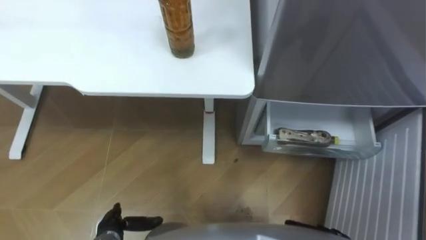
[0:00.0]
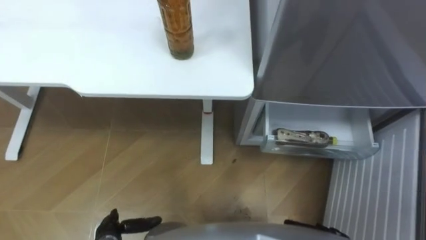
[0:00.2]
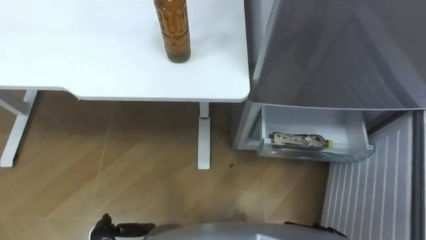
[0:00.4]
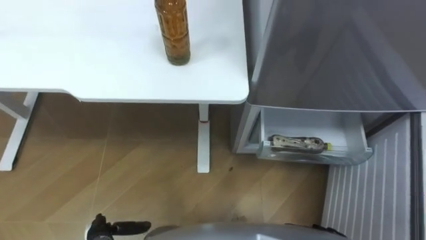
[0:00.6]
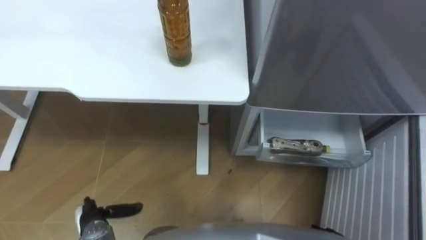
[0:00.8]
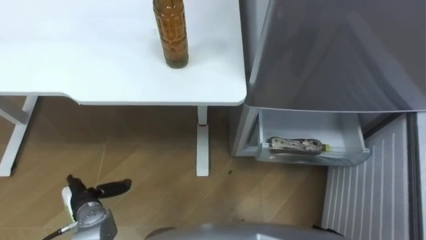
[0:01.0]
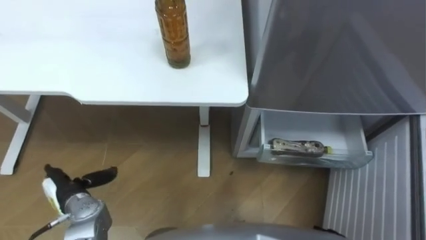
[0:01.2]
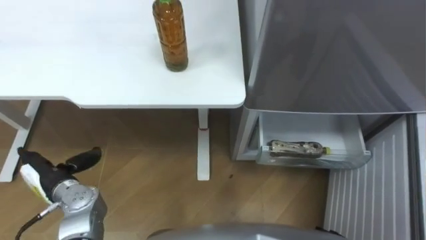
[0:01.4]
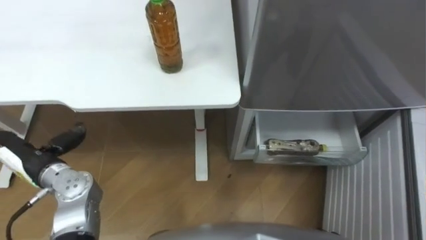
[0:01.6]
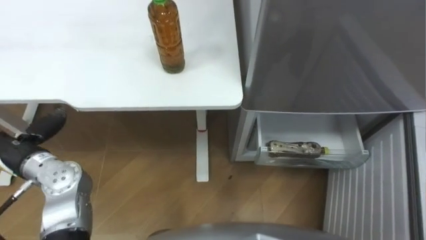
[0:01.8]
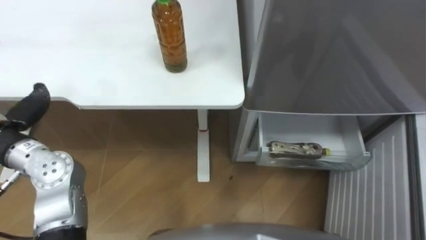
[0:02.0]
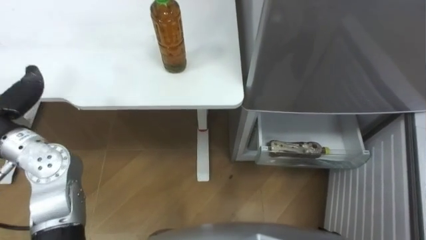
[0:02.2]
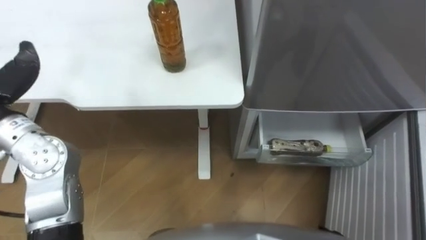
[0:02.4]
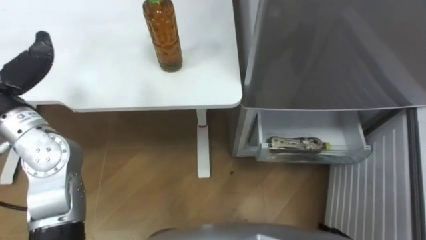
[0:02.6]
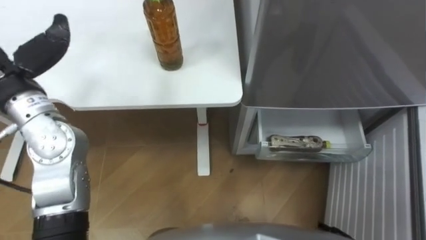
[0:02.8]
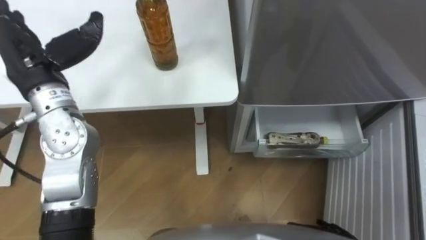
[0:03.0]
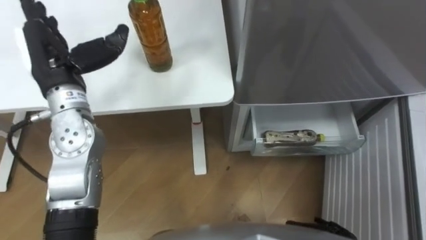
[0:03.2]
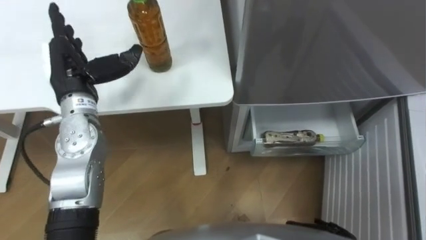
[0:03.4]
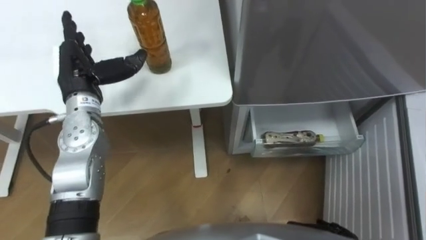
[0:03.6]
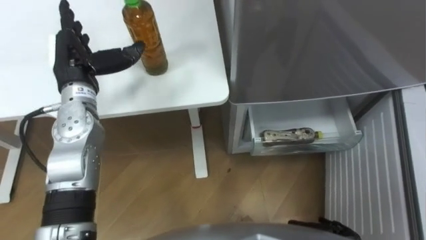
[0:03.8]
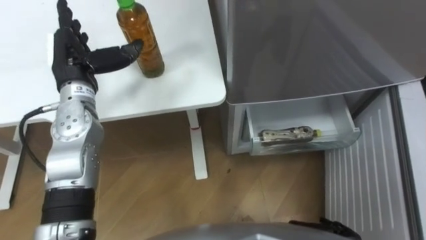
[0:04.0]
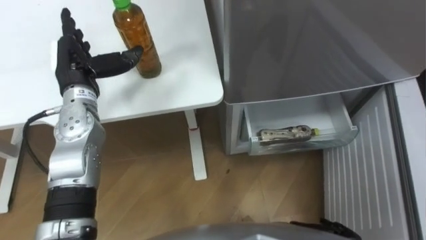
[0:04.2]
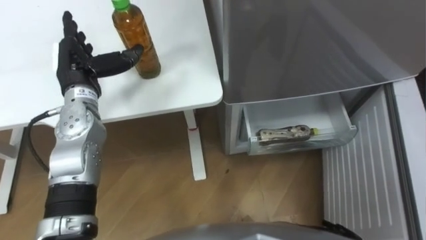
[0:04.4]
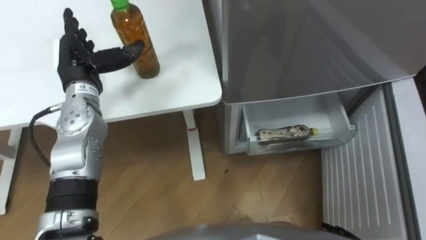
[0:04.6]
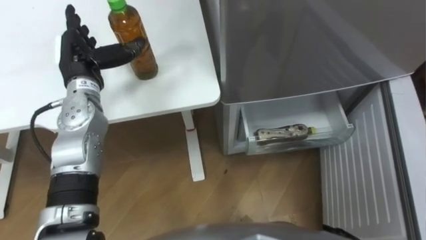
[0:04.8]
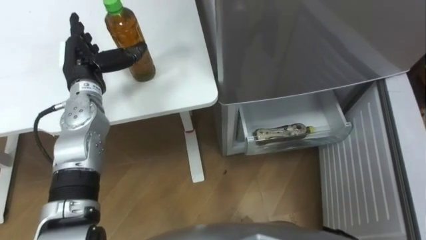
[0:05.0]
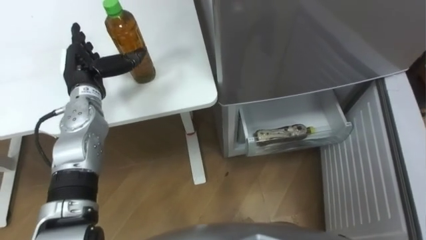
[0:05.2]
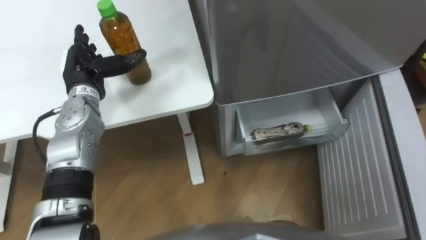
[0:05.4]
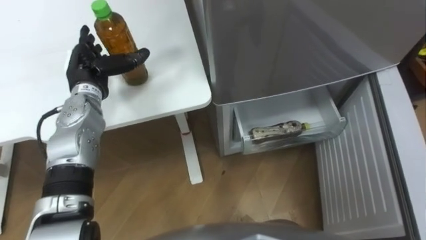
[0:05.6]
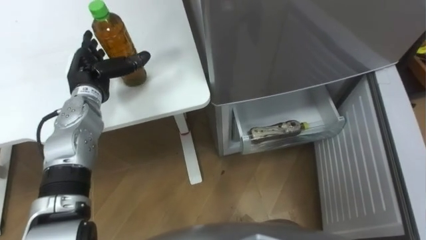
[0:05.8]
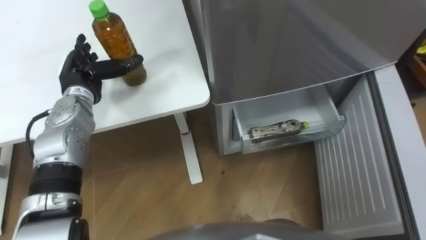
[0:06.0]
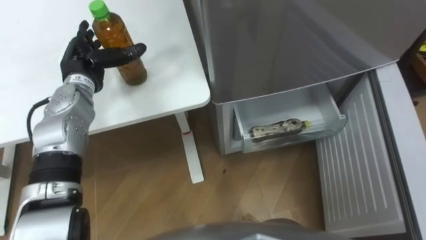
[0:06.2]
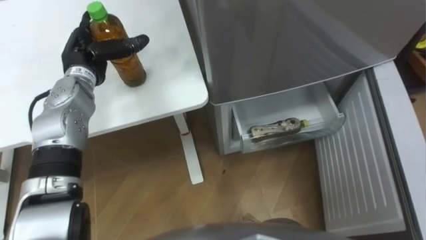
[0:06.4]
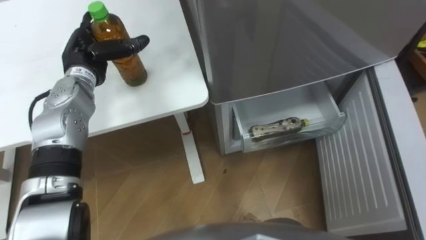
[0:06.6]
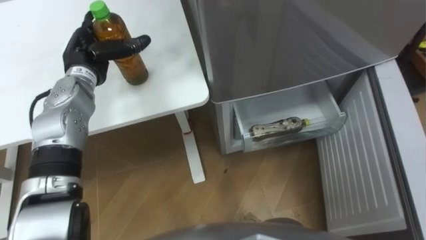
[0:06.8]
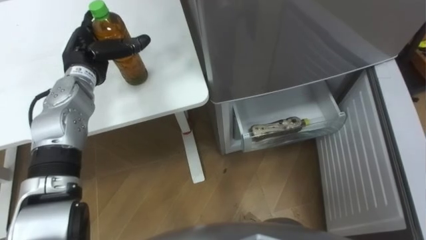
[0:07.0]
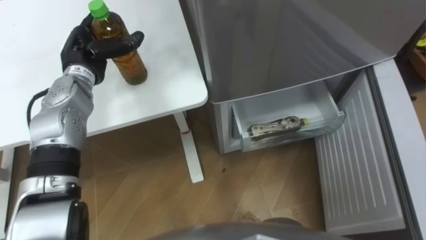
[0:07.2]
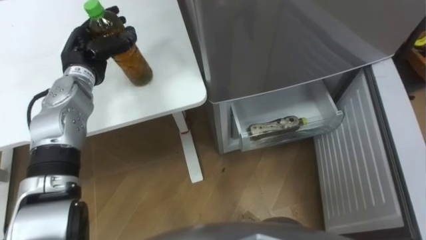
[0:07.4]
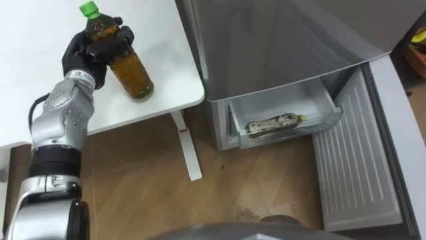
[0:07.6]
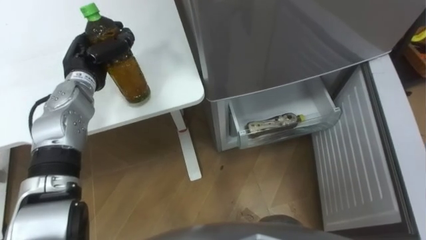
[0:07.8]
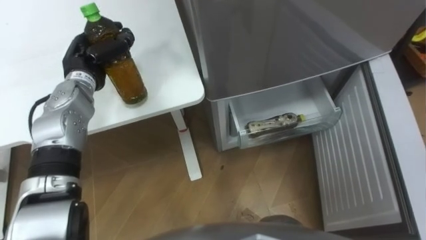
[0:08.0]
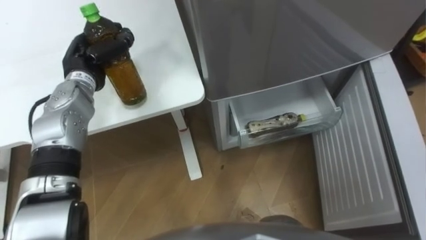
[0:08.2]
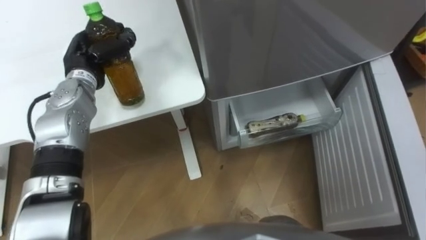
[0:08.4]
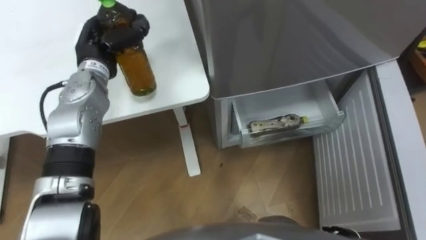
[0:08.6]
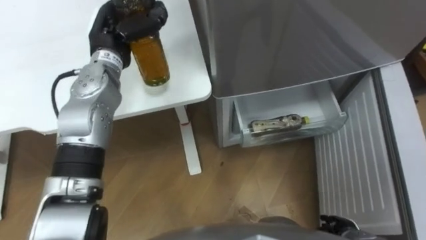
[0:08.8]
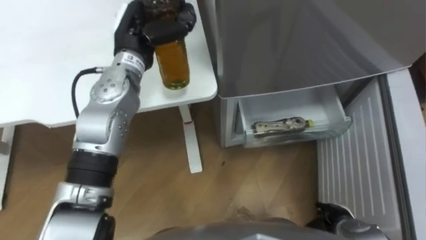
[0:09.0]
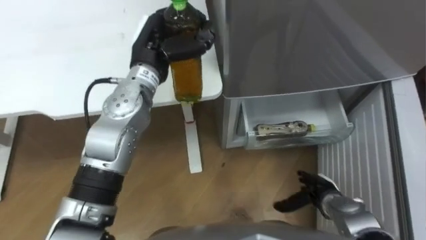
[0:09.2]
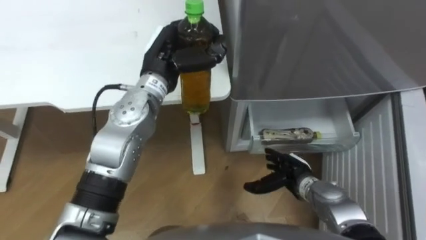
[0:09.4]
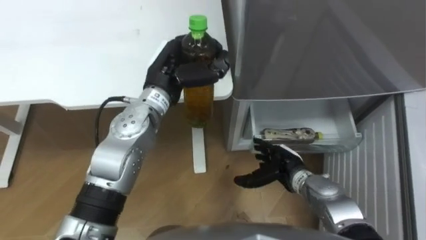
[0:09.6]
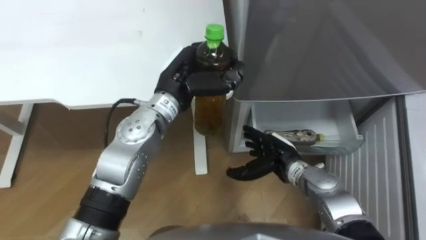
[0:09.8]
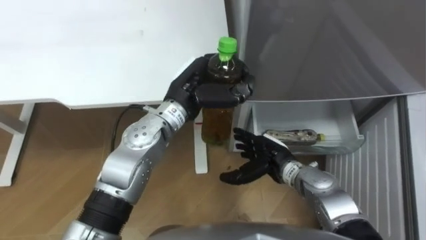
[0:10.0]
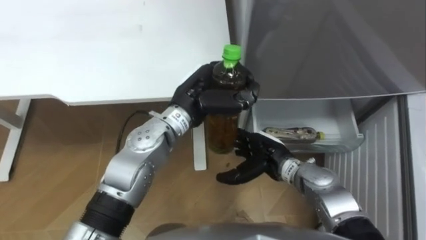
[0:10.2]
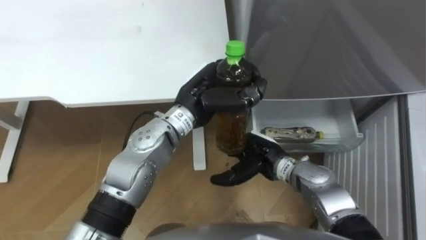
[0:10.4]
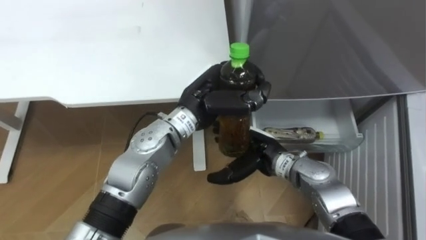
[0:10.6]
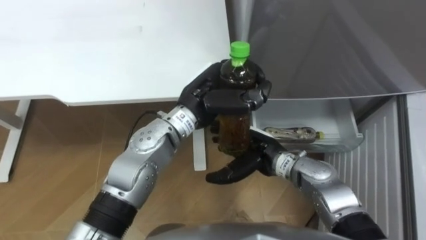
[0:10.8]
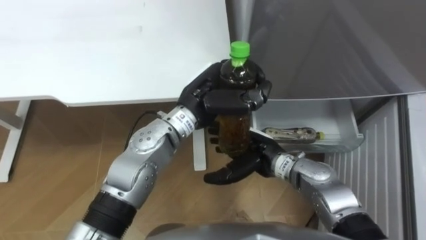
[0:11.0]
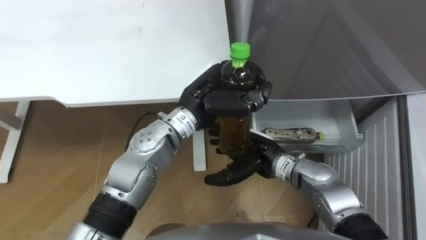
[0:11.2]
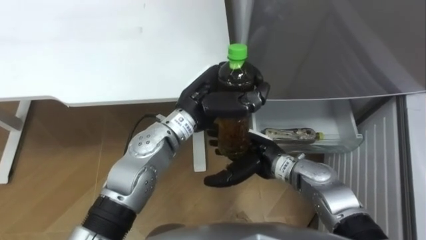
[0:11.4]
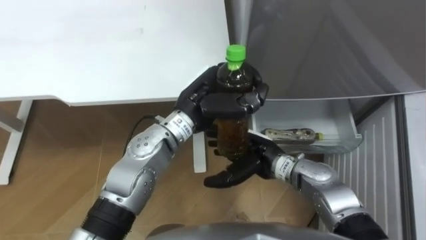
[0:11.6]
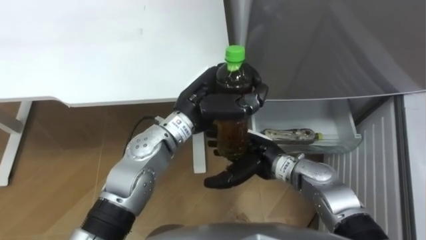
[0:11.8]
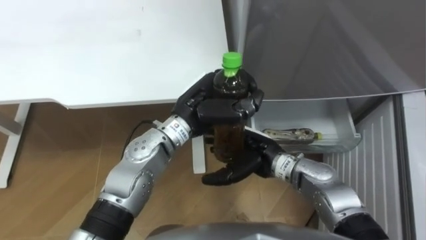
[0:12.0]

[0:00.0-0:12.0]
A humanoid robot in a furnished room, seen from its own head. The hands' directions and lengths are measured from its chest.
Task of the whole recording: Place the drink on the table on the bottom shelf of the refrigerator, then close the drawer and the refrigerator door.
0:00.0 to 0:01.6: The left hand travels upward, forward and to the left by some 25 cm.
0:03.0 to 0:04.4: The left hand goes roughly 10 cm downward.
0:06.0 to 0:07.6: The left hand closes its fingers.
0:07.6 to 0:09.0: The left hand shifts some 15 cm to the right and upward.
0:09.0 to 0:10.4: The left hand heads to the right and backward, covering about 15 cm. Meanwhile the right hand goes roughly 25 cm to the left, forward and upward.
0:10.4 to 0:12.0: The hands move only a little.

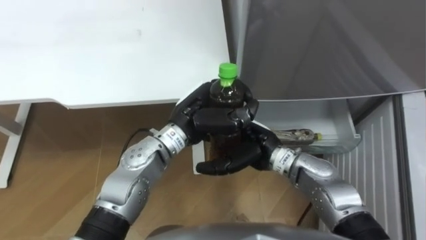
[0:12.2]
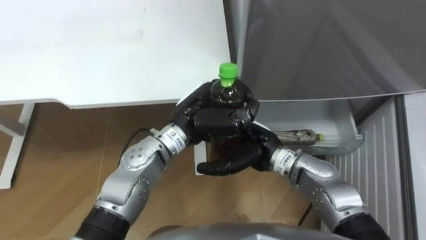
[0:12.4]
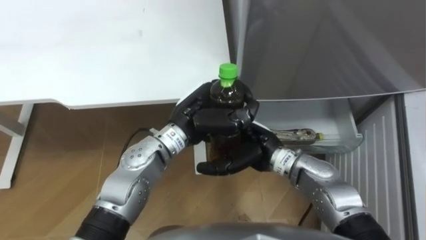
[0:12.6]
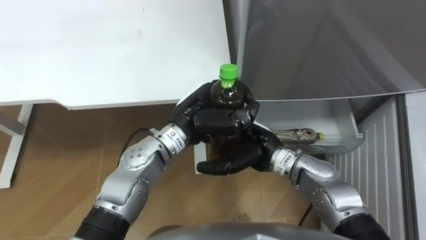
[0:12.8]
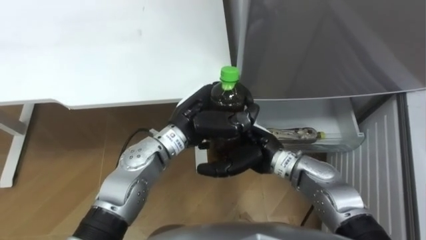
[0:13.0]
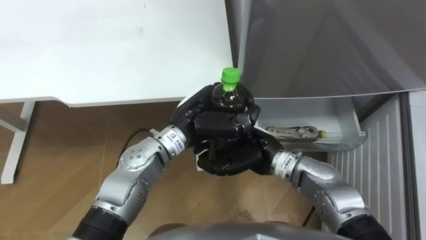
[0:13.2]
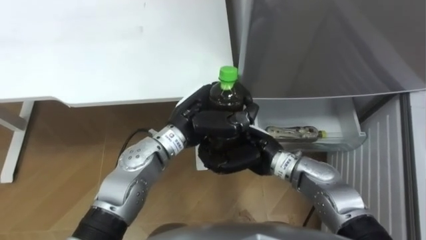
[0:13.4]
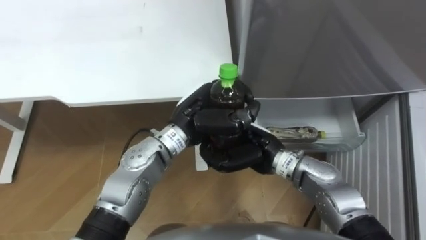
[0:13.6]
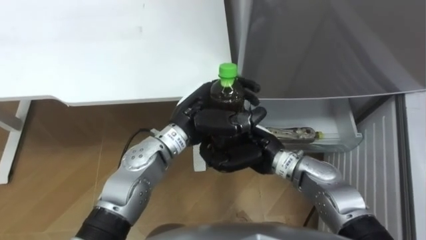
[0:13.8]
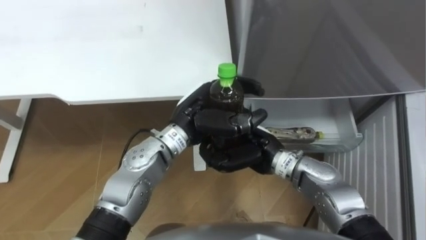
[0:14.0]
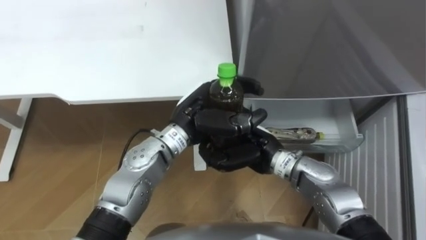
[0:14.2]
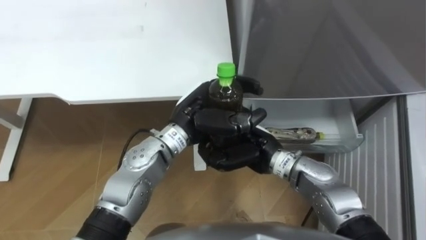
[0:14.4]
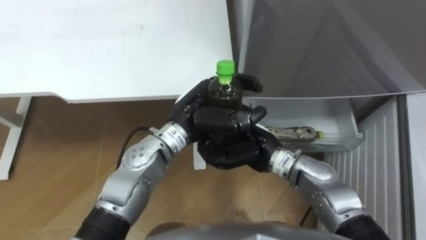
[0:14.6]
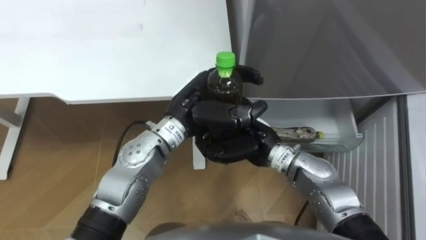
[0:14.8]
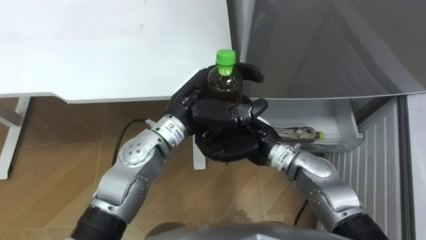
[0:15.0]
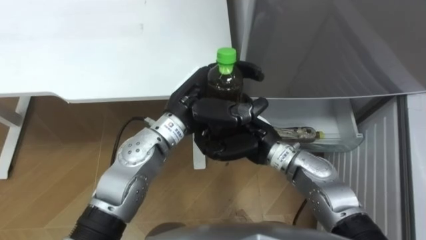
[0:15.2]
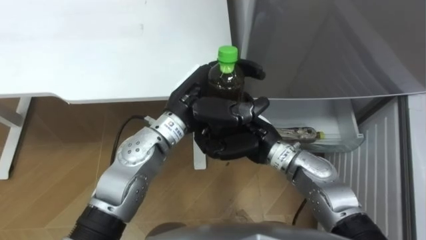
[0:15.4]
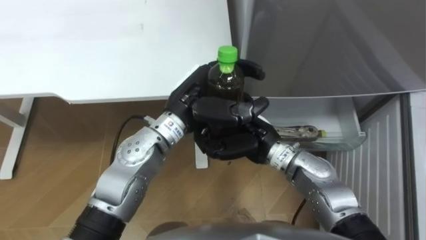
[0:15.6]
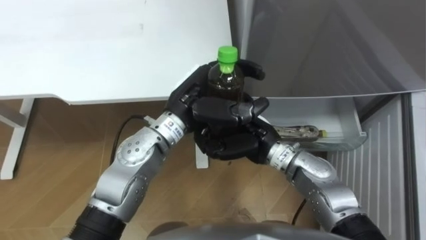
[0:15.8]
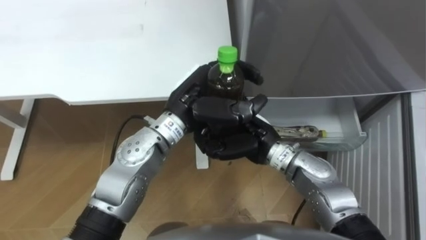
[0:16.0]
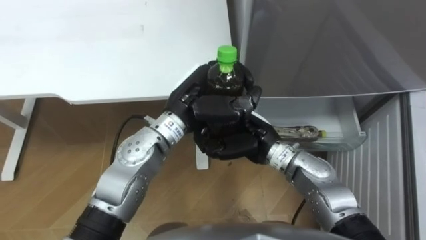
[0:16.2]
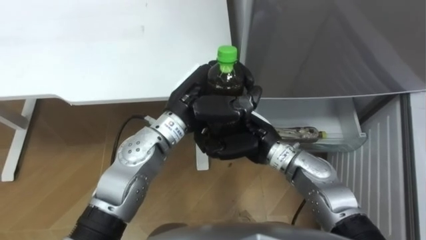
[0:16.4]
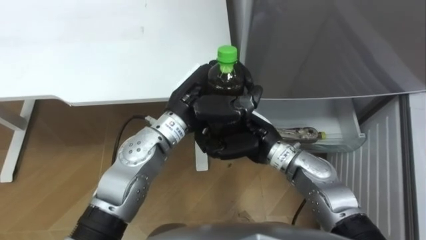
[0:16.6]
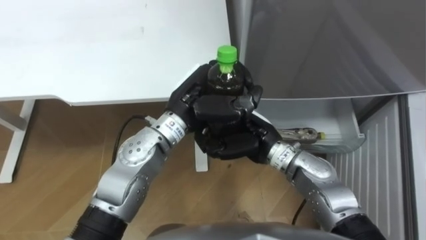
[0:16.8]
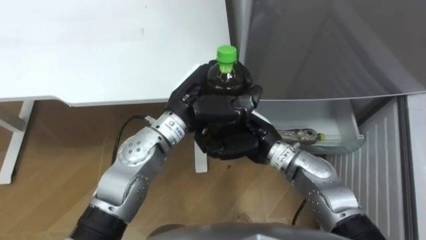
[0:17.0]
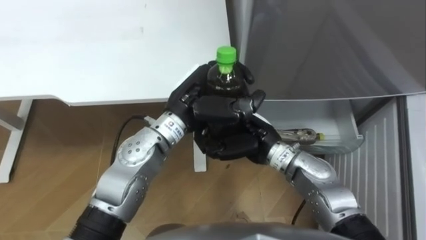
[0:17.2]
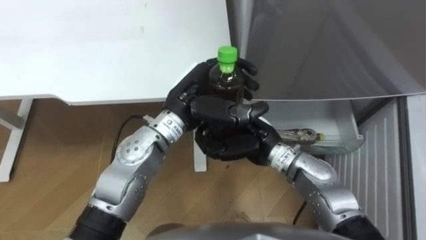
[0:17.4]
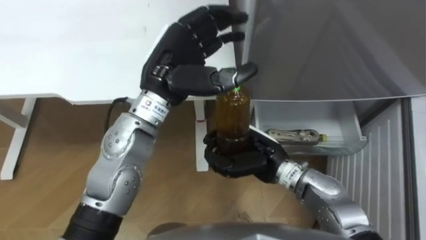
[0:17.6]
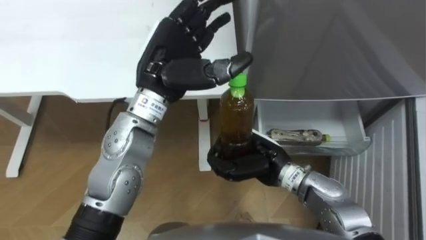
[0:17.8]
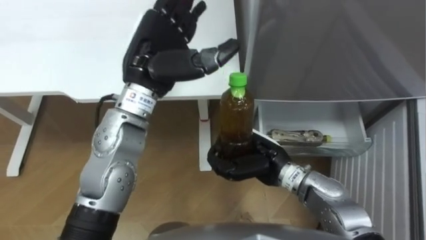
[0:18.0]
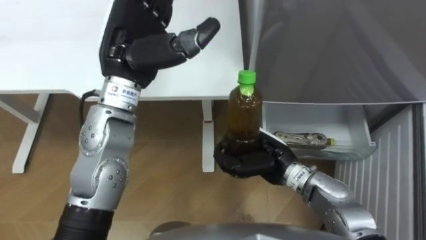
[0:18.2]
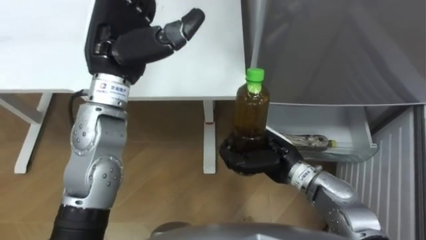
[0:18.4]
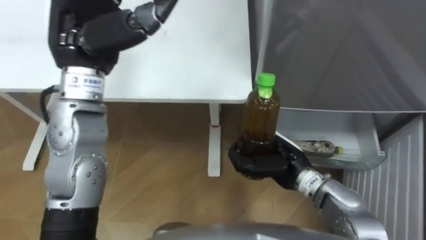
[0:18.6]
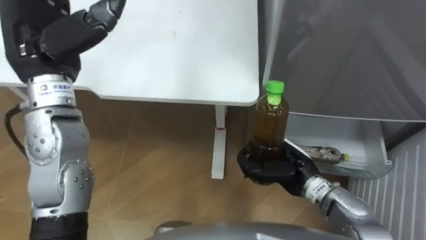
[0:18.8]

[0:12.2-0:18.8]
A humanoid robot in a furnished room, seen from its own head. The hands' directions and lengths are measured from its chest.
Task of the whole recording: Place the drink on the table on the bottom shelf of the refrigerator, then close the drawer and the refrigerator door.
0:12.2 to 0:13.8: The right hand closes its fingers.
0:13.8 to 0:15.4: The hands move only a little.
0:15.4 to 0:17.2: Both hands stay put.
0:17.2 to 0:18.8: The right hand goes some 10 cm to the right and downward. Meanwhile the left hand heads to the left and upward, covering about 25 cm, and opens.
